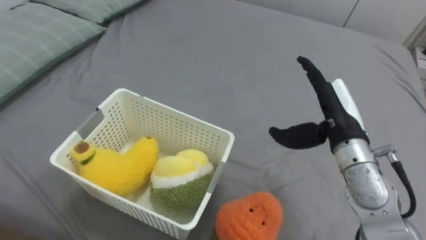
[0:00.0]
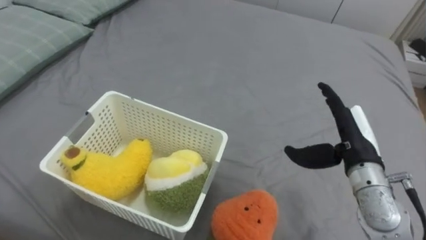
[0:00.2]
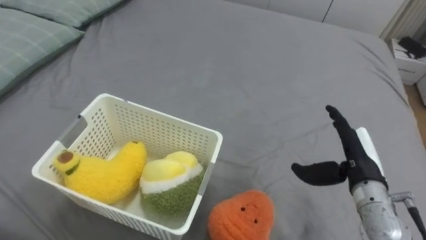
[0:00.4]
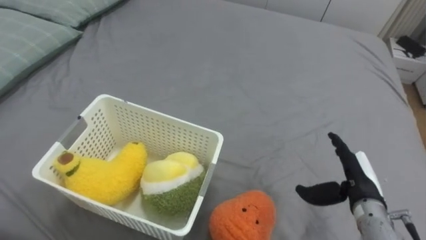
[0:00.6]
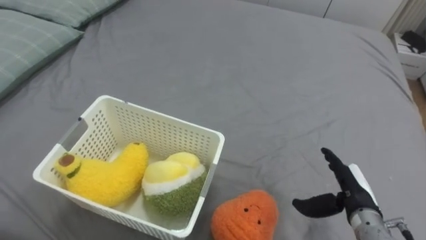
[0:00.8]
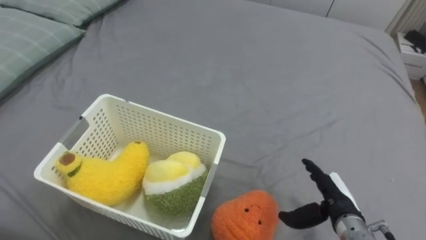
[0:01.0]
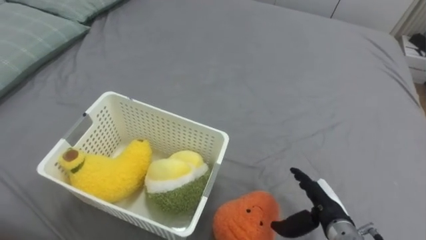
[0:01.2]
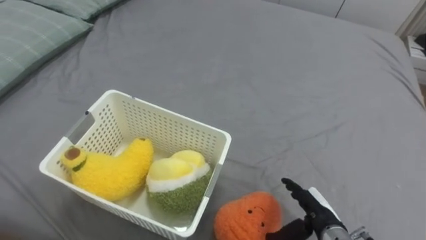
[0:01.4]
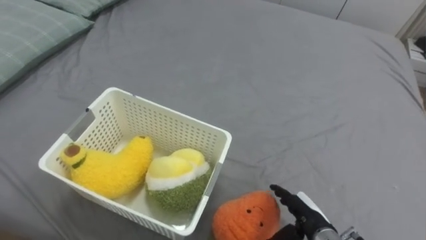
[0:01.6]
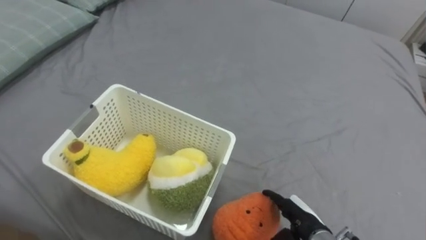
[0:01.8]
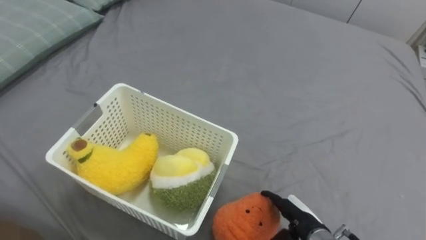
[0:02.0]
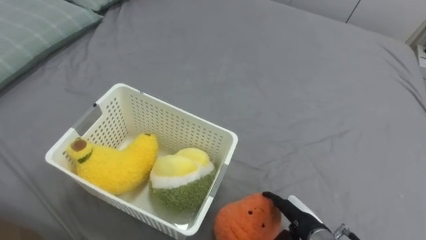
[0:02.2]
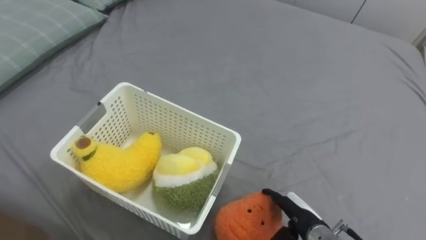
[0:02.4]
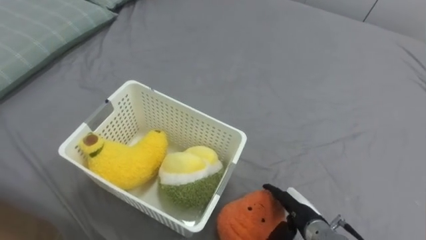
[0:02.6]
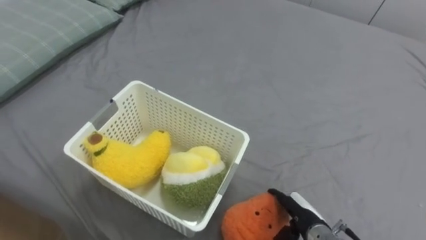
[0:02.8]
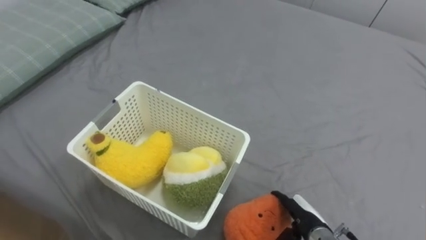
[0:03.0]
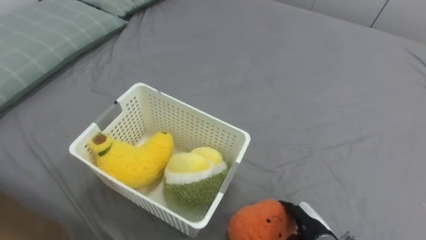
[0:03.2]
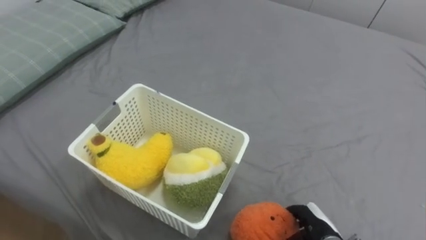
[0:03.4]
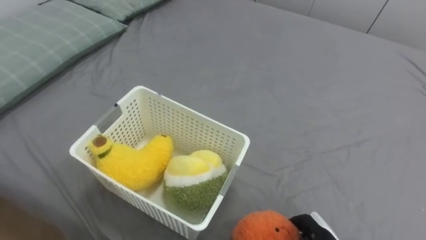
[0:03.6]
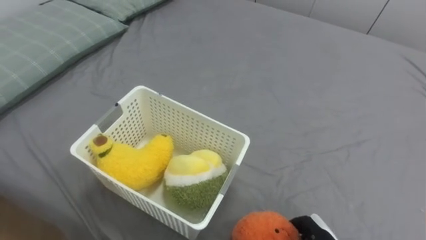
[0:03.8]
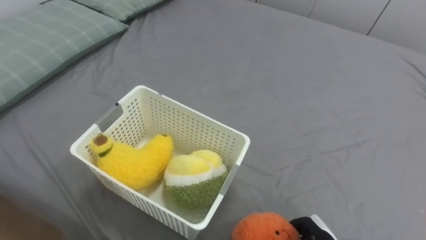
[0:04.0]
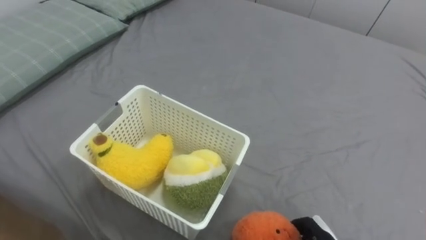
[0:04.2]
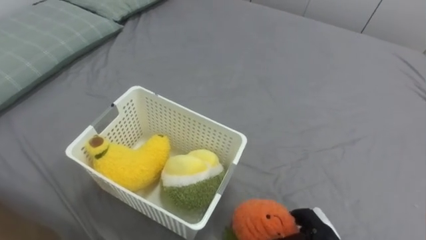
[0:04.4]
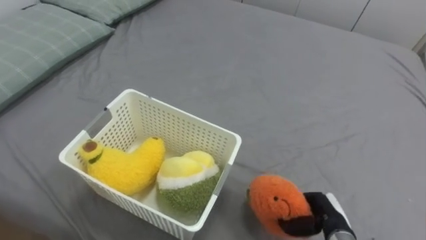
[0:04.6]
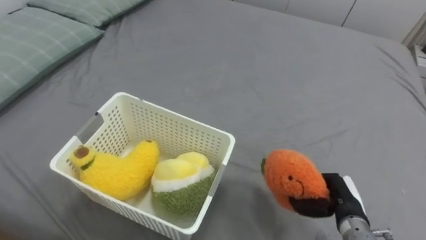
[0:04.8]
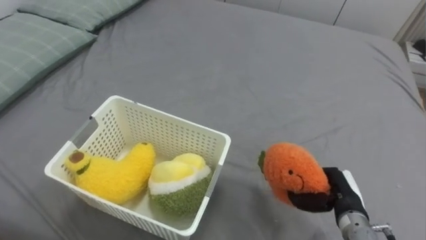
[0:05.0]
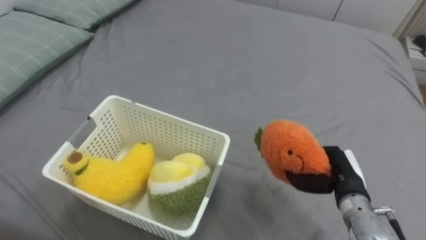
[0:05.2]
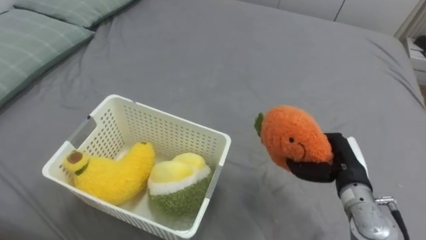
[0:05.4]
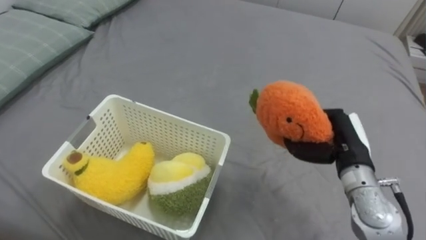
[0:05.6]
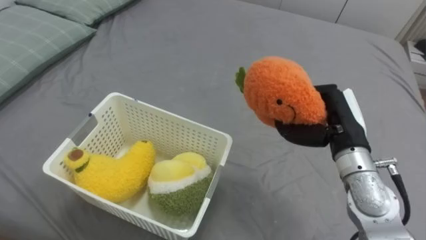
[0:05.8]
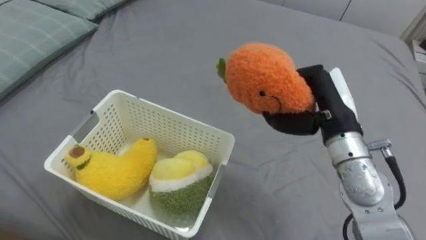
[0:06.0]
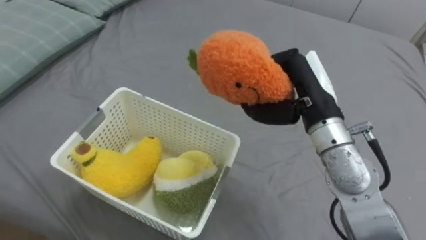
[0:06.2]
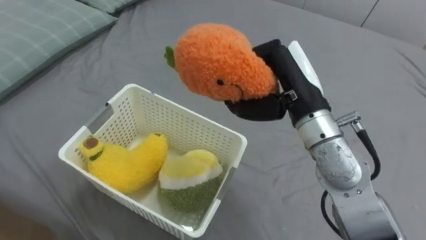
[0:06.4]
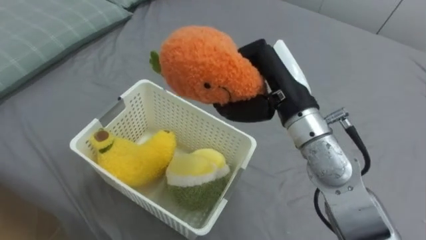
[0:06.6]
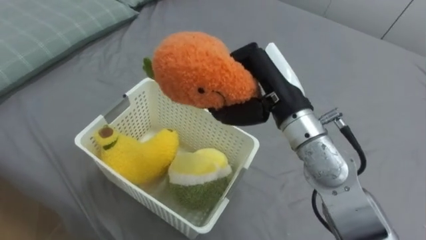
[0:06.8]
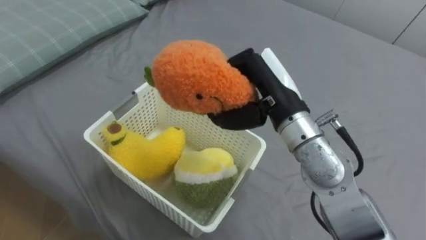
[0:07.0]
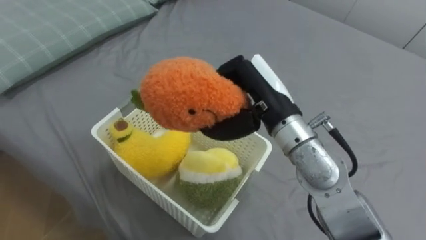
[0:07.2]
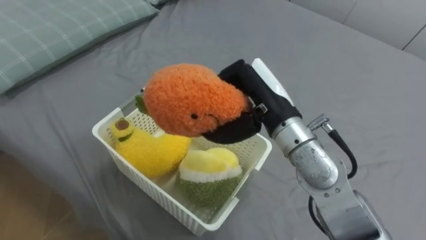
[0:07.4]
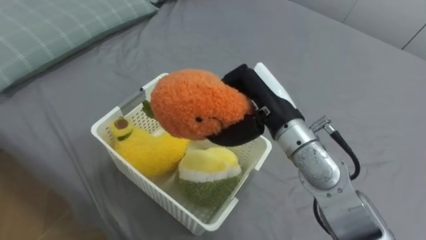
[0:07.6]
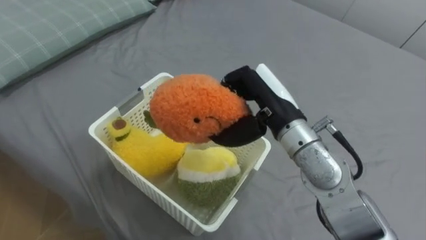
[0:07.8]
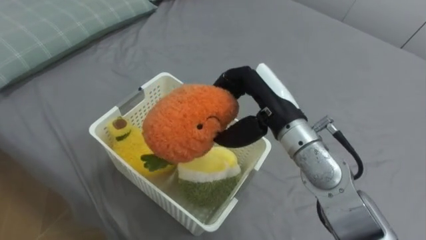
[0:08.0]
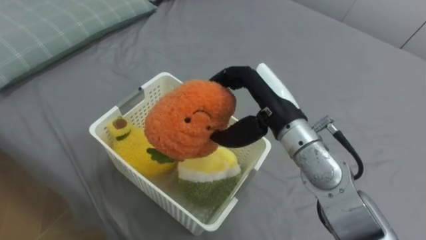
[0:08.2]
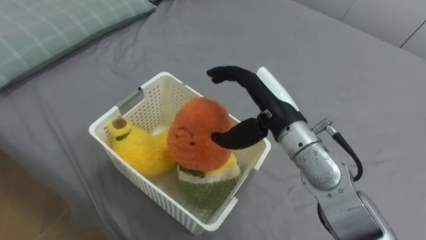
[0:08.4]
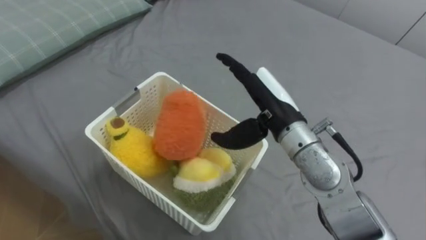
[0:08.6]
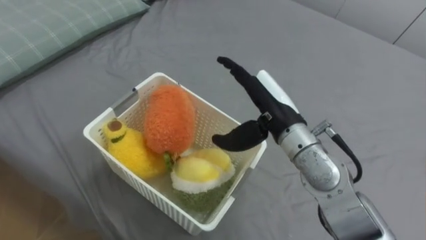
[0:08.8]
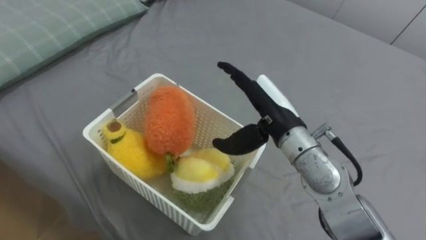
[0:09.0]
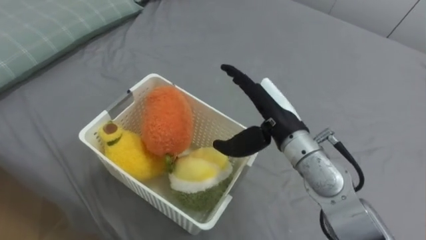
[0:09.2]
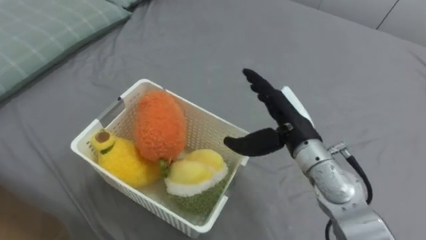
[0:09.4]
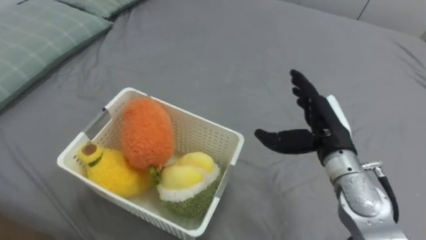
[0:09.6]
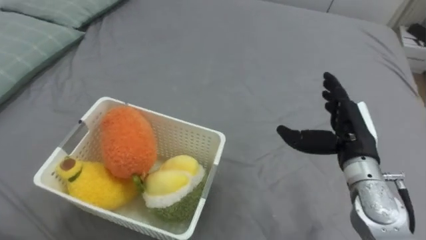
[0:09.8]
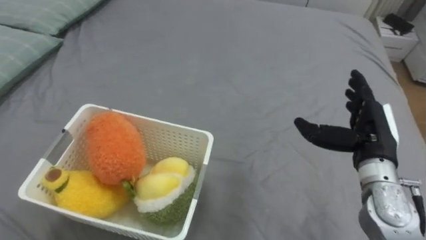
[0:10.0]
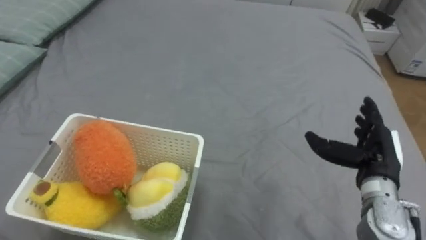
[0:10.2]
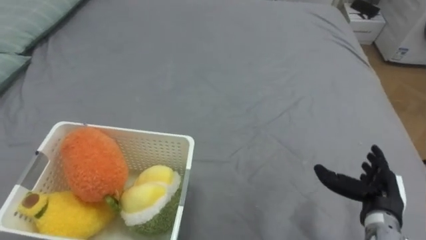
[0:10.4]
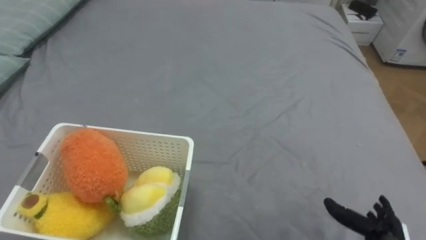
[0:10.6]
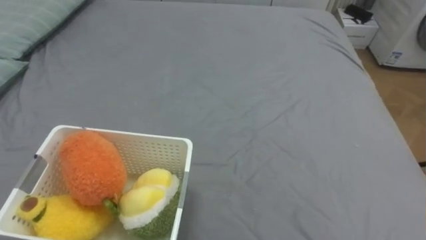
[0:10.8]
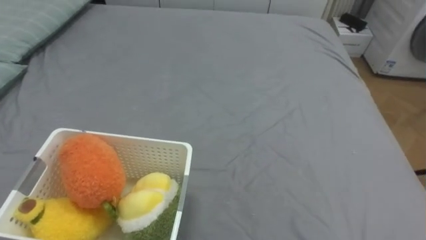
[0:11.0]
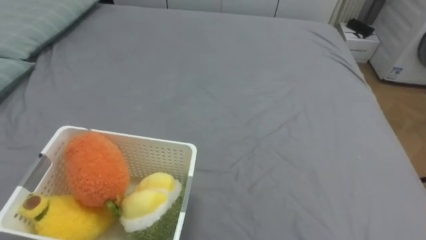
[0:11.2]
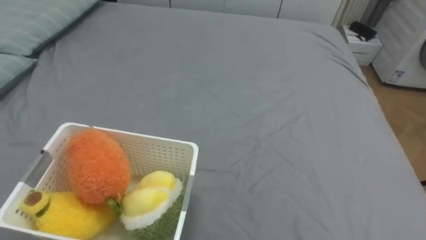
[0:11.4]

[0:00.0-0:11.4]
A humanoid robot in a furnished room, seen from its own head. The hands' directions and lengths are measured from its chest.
Task of the whole recording: Put the toys on the bed into the basket on the left.
0:00.0 to 0:01.4: The right hand shifts roughly 20 cm downward and backward.
0:02.8 to 0:04.2: The right hand ends up approximately 5 cm from where it was, and closes its fingers.
0:04.2 to 0:05.6: The right hand is displaced upward and forward by some 25 cm.
0:05.6 to 0:07.2: The right hand is displaced to the left and upward by roughly 20 cm.
0:07.2 to 0:08.6: The right hand opens its fingers.
0:08.6 to 0:10.0: The right hand heads to the right, covering approximately 15 cm.

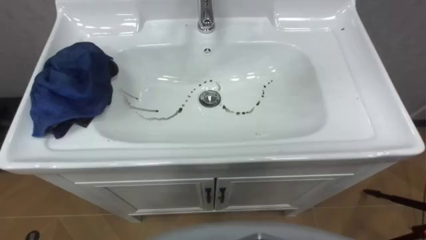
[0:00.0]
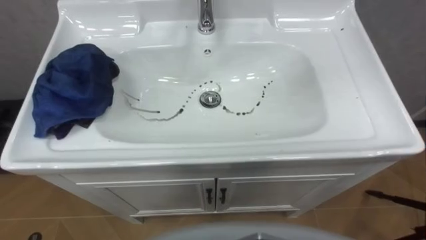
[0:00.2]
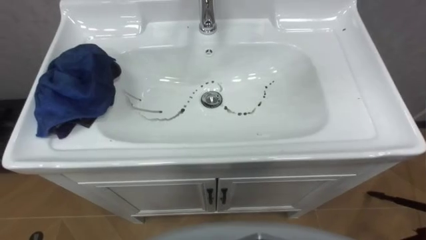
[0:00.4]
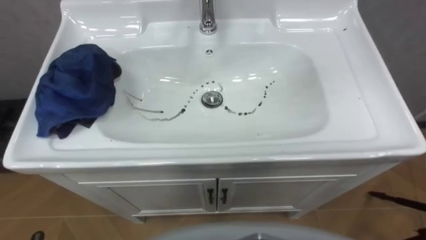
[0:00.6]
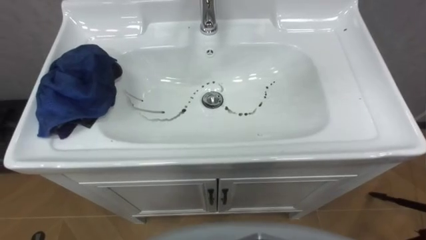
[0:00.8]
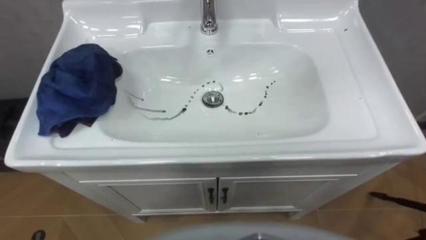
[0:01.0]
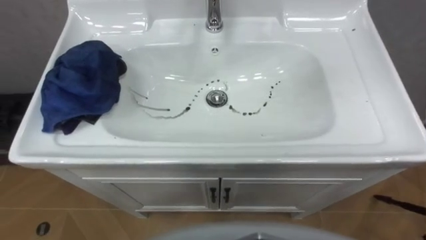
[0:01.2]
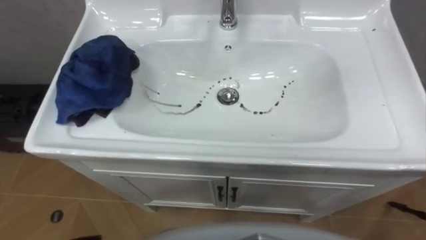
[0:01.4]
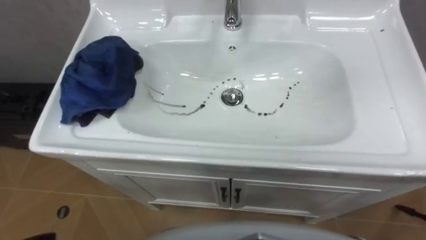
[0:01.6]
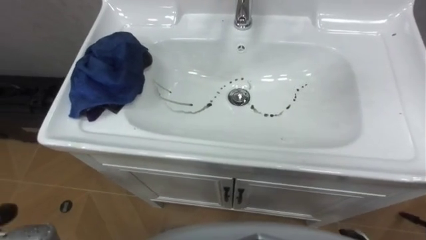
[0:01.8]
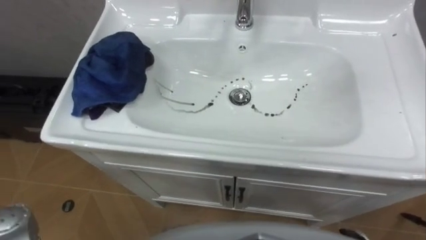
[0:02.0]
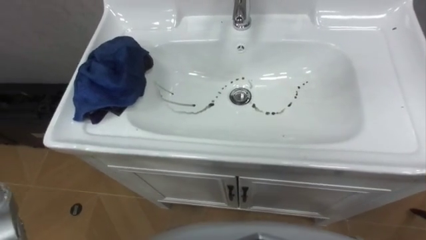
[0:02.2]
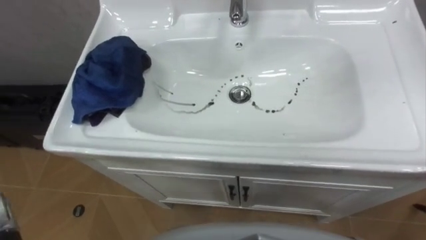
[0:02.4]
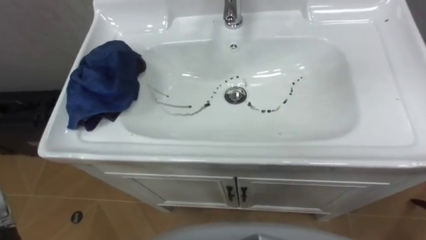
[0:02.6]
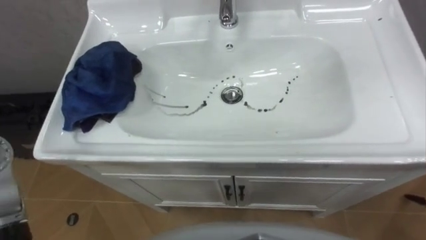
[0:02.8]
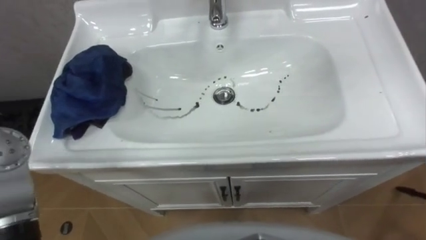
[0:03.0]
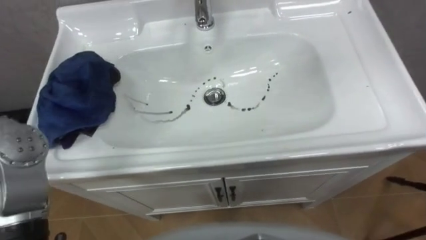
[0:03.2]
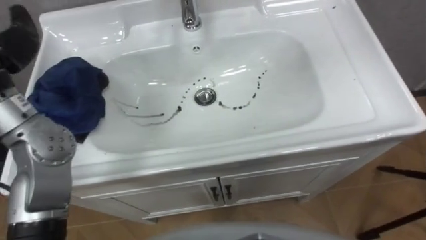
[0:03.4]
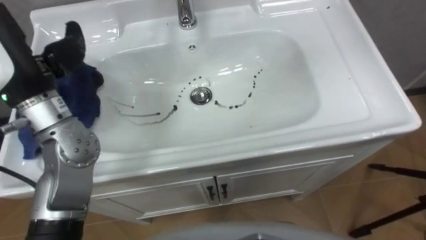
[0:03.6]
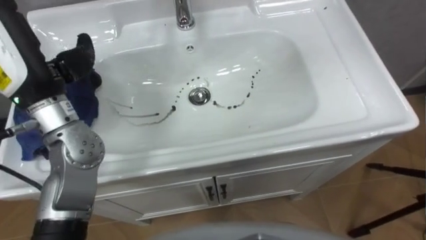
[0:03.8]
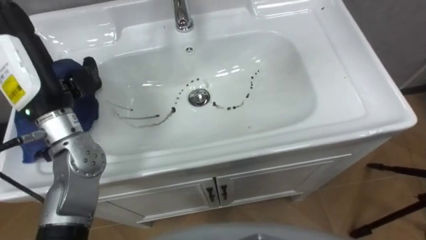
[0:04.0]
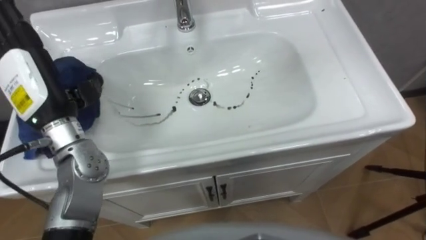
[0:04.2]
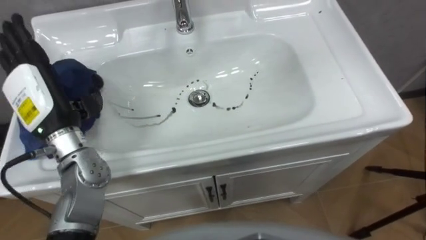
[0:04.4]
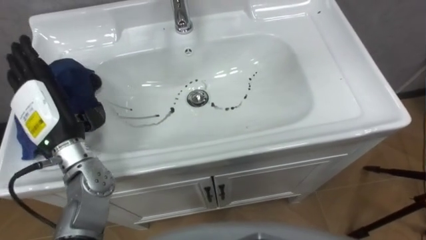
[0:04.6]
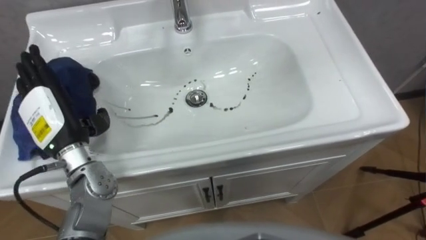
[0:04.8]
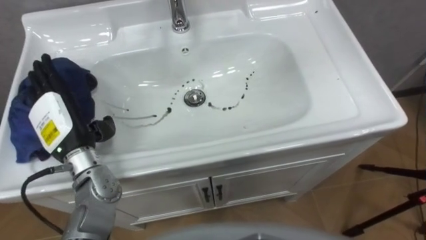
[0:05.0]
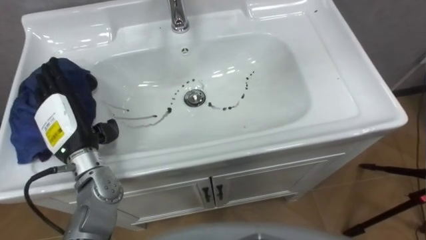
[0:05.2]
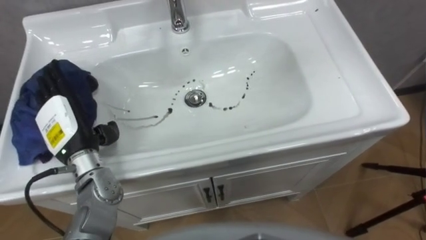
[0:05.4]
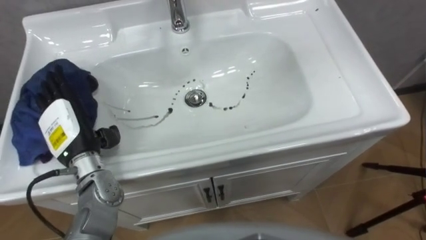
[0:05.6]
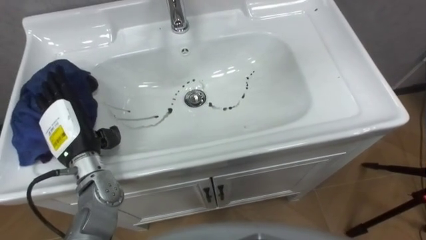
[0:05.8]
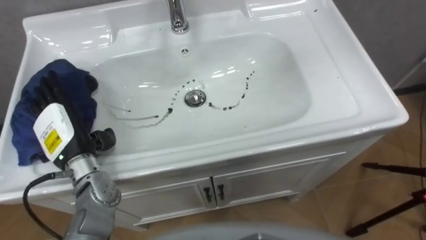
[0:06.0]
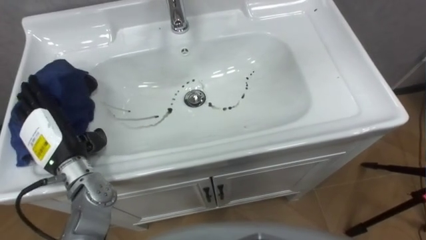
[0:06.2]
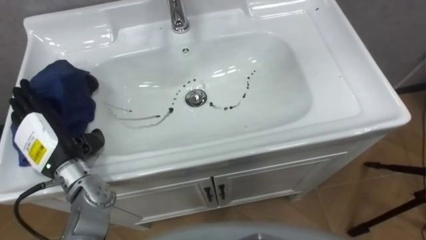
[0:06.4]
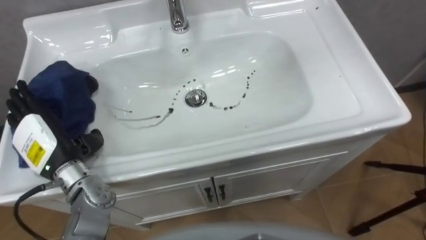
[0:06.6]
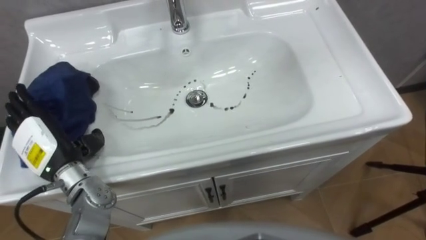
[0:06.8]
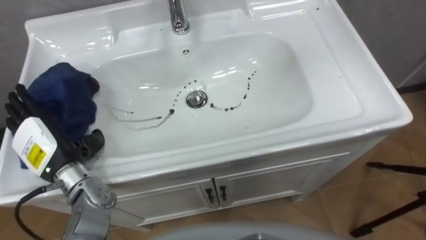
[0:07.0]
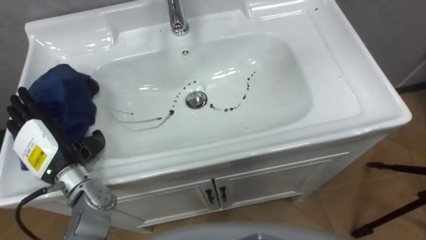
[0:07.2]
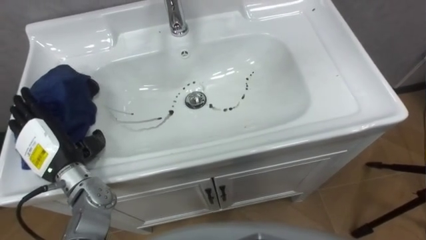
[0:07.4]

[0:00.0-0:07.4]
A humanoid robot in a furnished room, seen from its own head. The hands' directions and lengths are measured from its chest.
Task of the whole recording: Use the cloth on the right to wipe away the black stain in the sink.
0:04.4 to 0:06.0: The left hand shifts about 10 cm downward.
